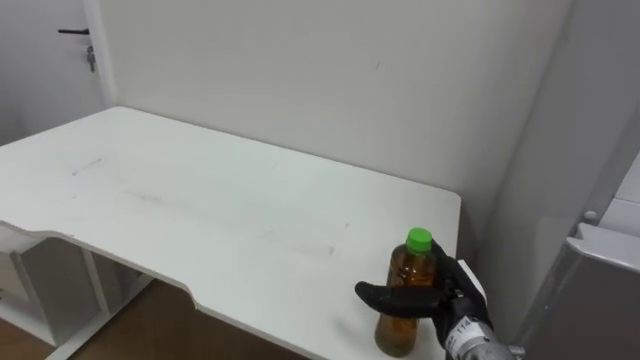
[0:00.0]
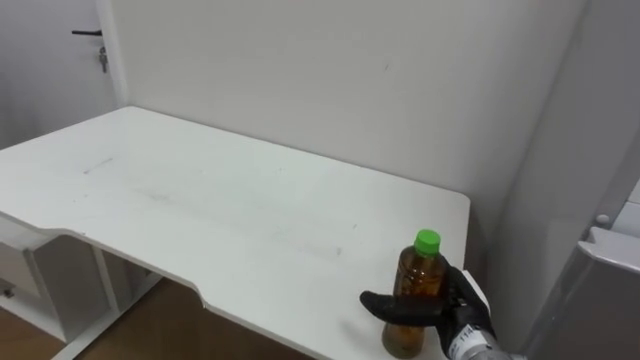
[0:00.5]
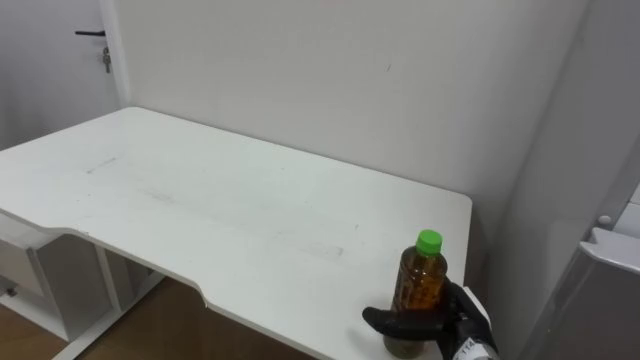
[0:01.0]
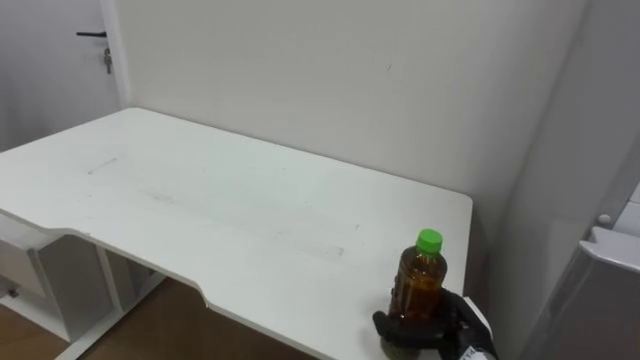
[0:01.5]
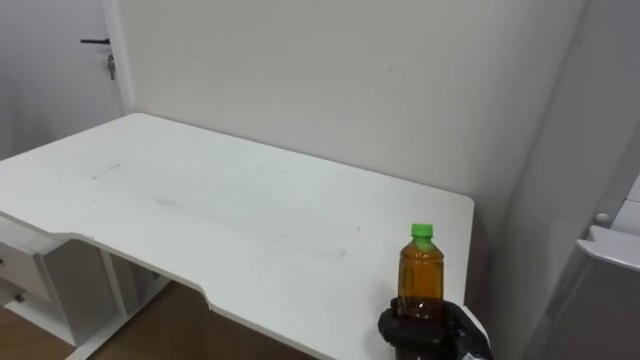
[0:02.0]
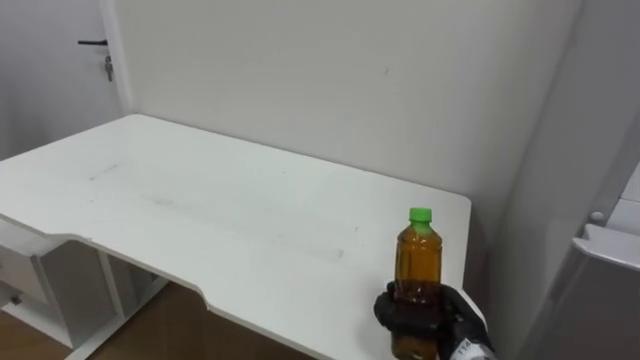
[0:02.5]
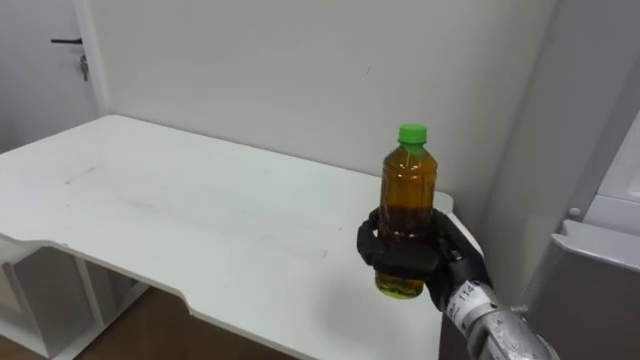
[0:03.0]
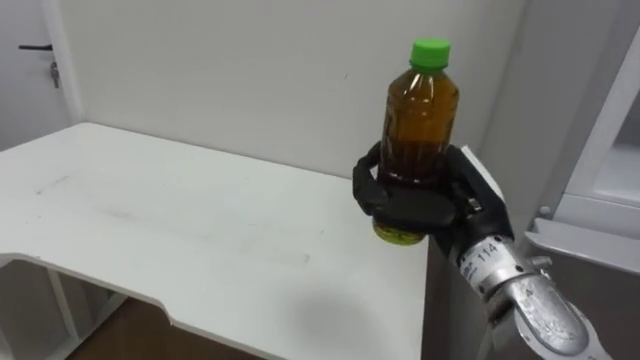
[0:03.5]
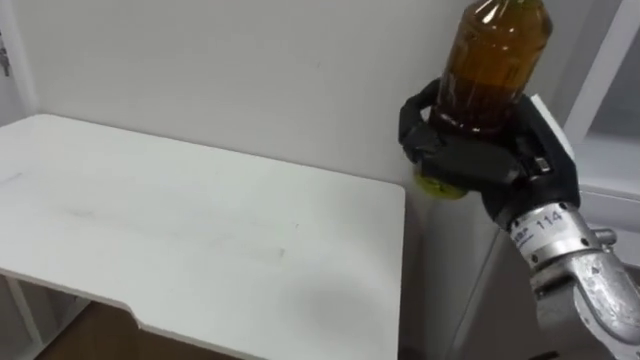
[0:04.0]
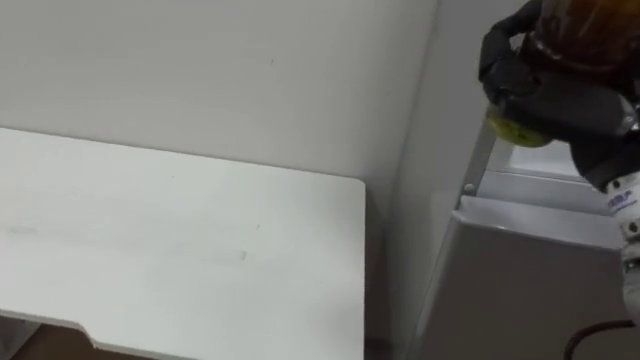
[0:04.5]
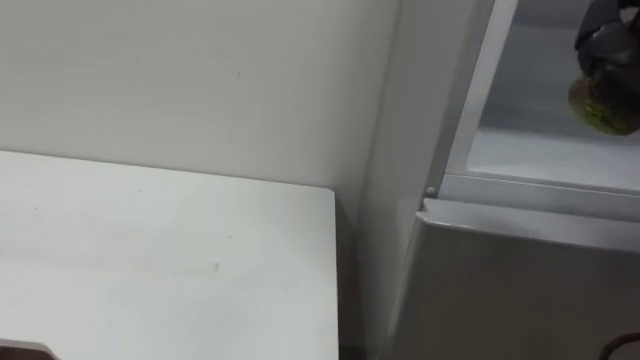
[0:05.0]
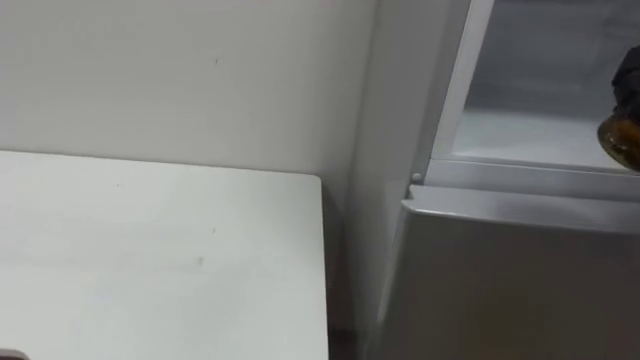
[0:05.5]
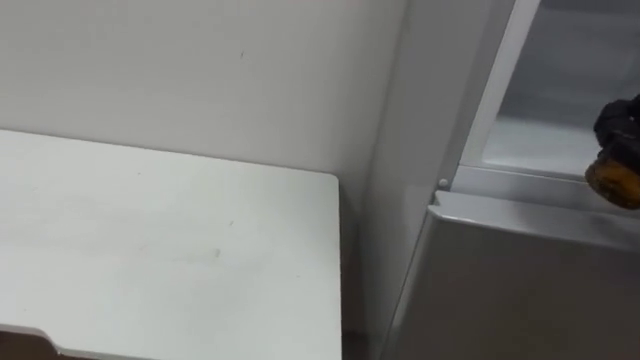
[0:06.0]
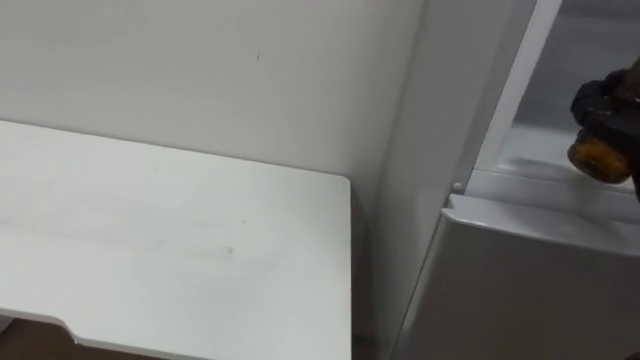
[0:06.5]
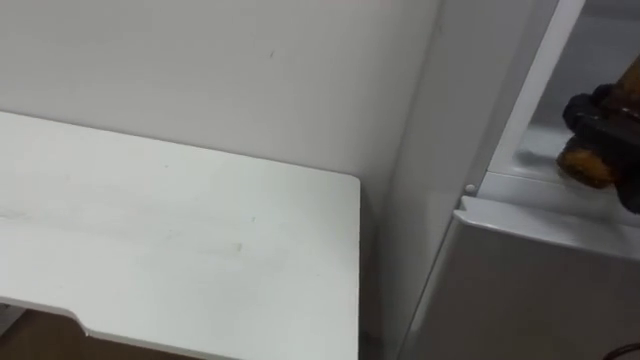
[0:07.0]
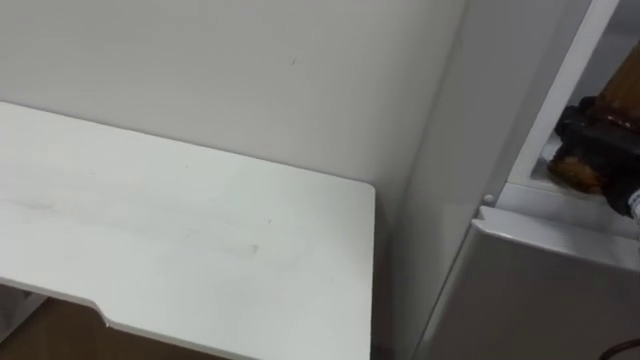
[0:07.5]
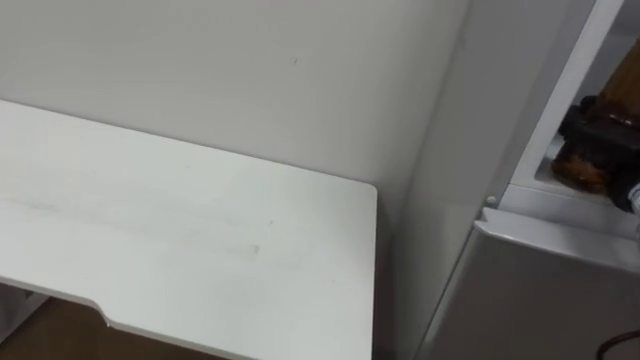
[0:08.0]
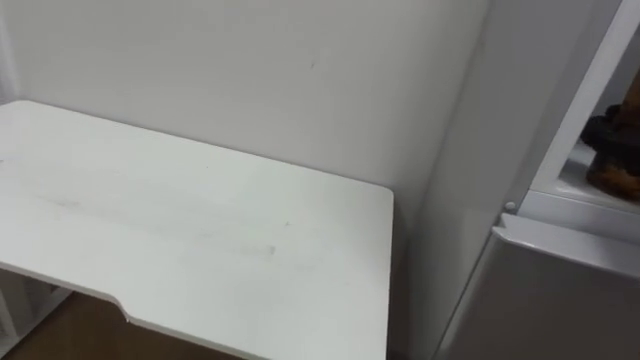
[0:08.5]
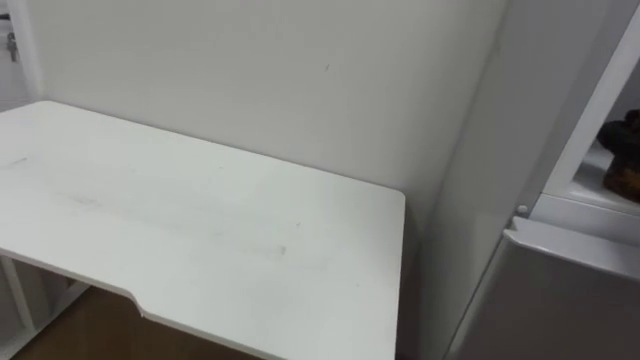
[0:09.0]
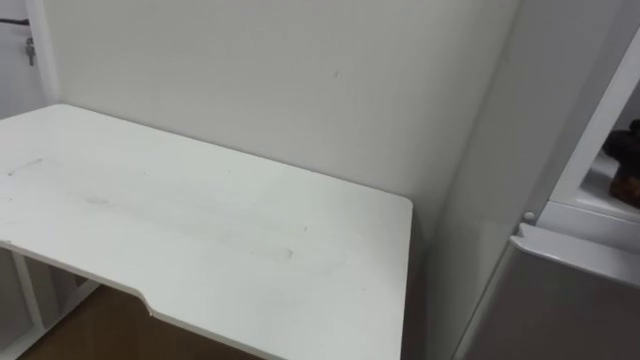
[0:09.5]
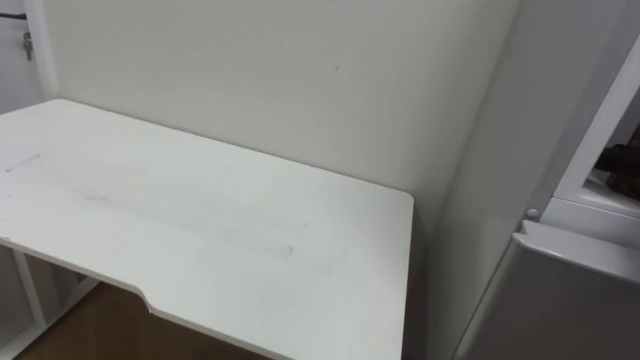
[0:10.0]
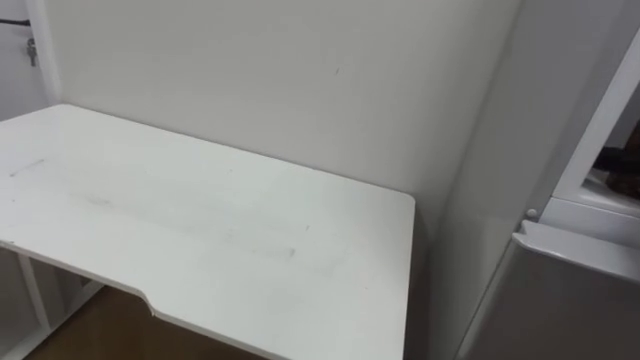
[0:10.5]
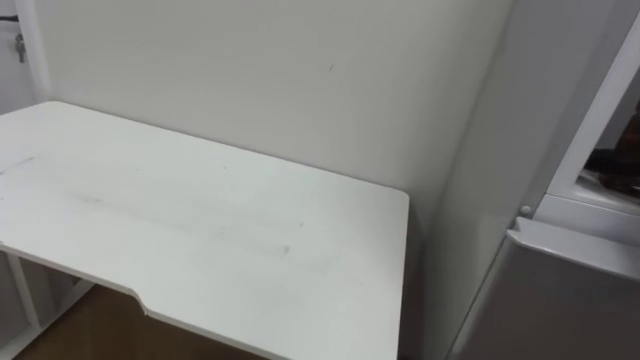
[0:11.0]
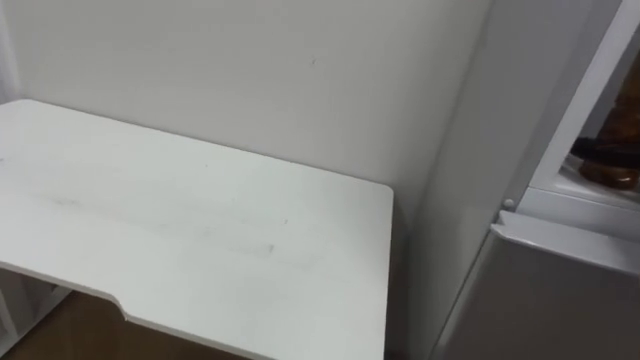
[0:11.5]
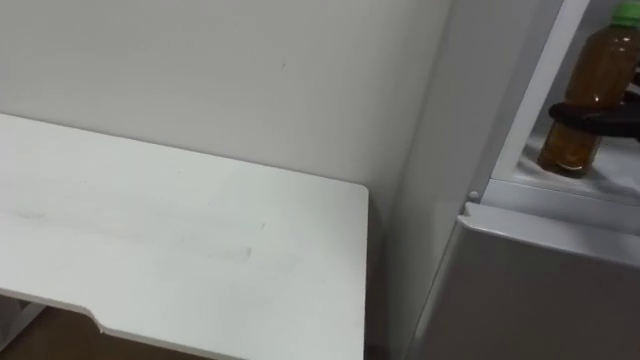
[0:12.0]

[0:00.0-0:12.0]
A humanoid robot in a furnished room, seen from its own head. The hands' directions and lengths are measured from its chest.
Task of the whole recording: Open the upper refrigerator door, put the drink from the table into the refrigerator, and then close the refrigerator door.
0:00.0 to 0:02.0: The right hand is displaced downward by approximately 5 cm, and closes its fingers.
0:02.0 to 0:04.0: The right hand travels upward by approximately 30 cm.

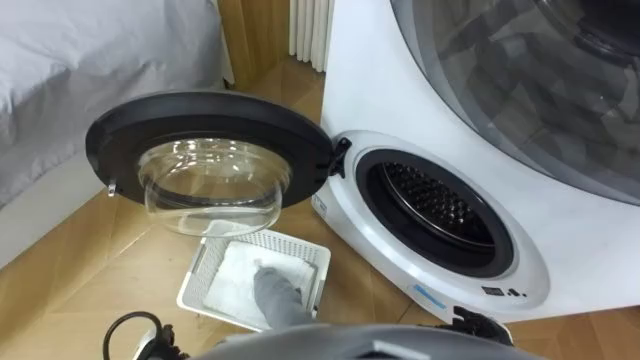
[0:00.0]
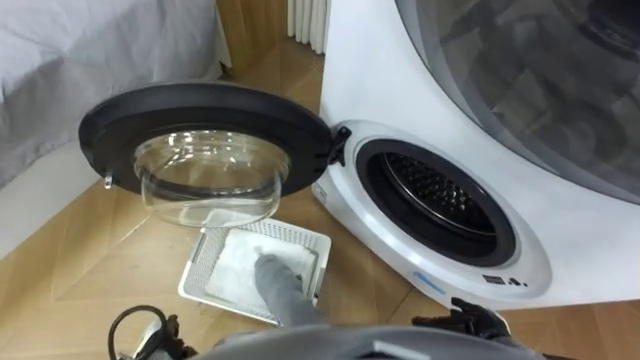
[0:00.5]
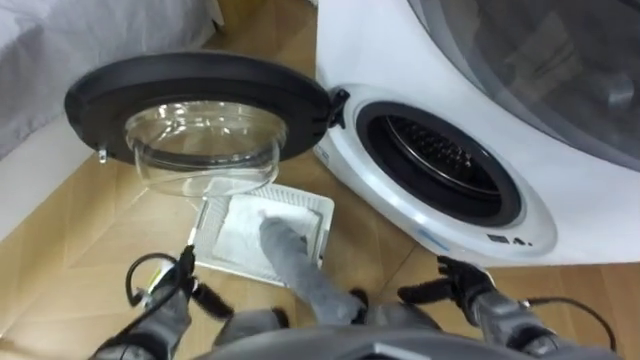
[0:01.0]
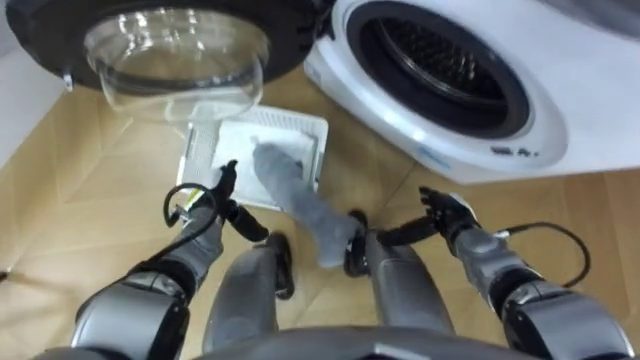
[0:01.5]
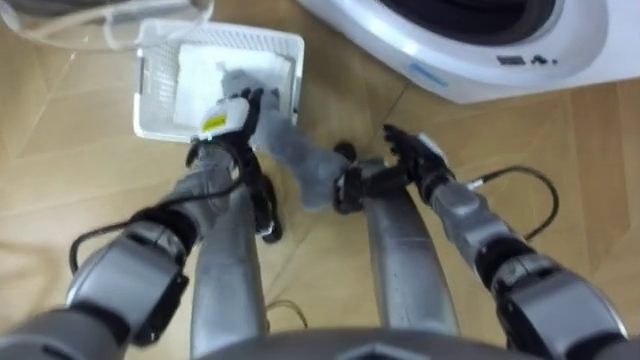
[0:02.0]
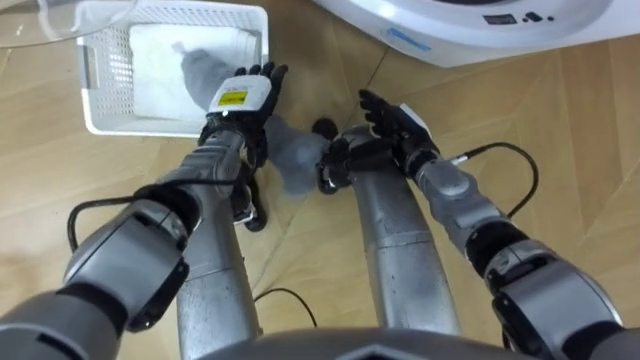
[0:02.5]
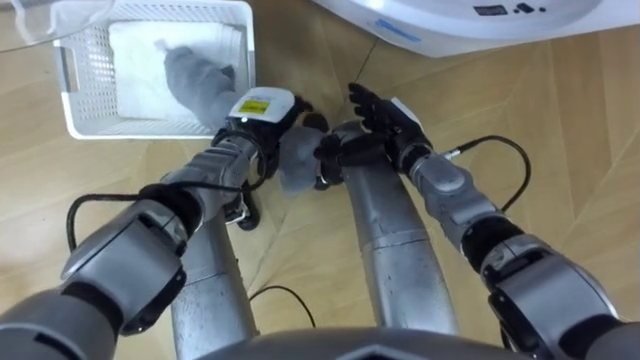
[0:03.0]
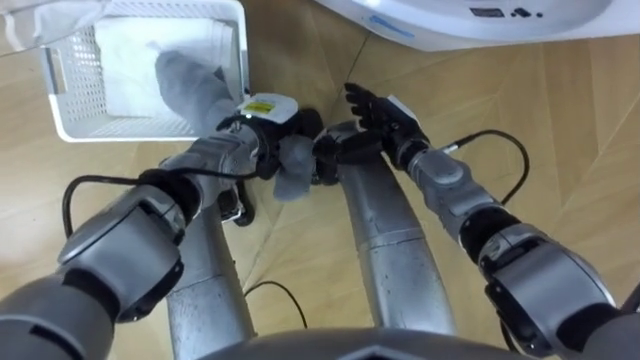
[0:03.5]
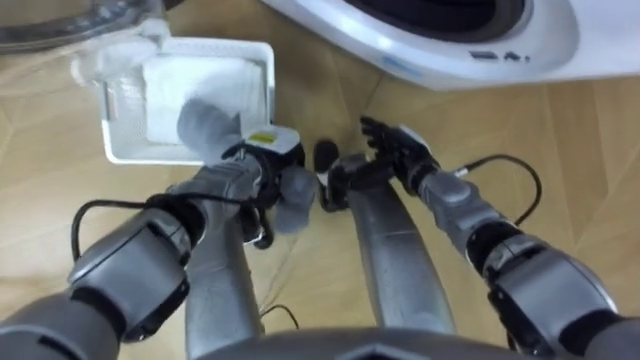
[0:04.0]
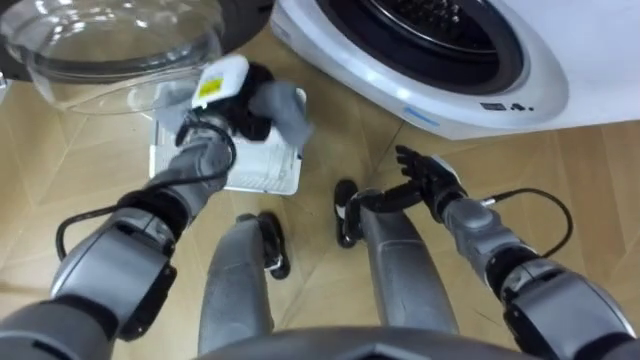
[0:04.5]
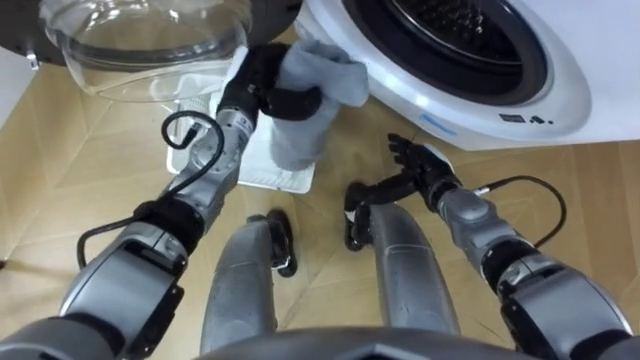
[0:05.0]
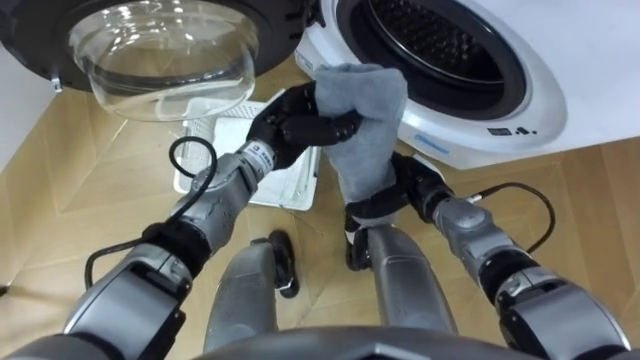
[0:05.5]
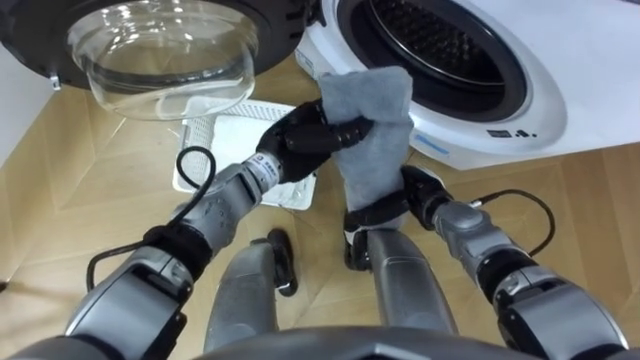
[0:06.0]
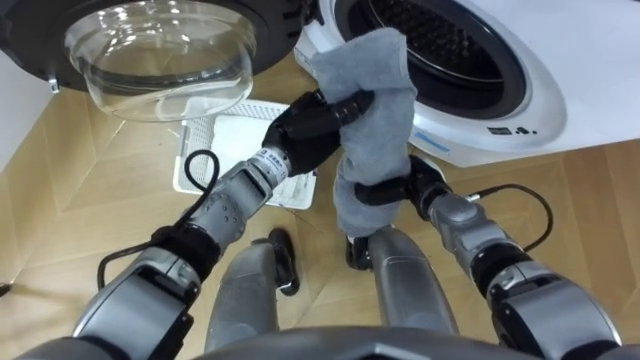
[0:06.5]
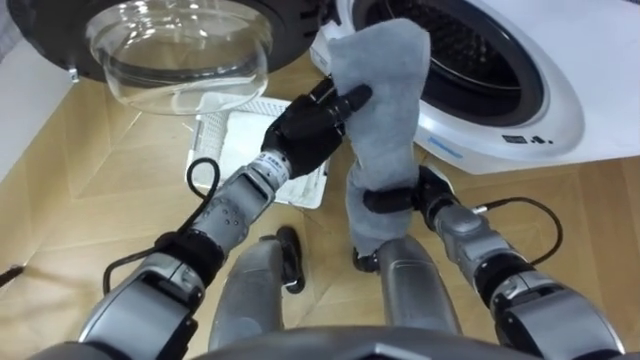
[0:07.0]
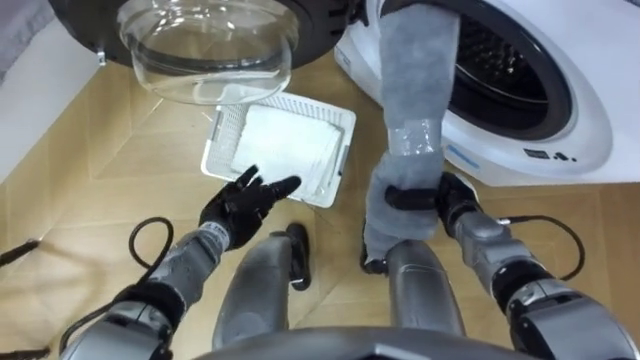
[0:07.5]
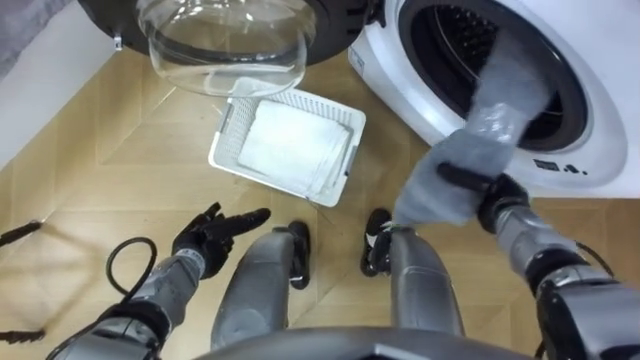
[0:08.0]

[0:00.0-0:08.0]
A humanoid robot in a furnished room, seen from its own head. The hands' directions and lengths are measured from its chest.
Task of the whole recording: Take the towel from the basket and put it into the washing machine.
0:02.0 to 0:04.0: The left hand moves to the right, roughly 5 cm, and closes its fingers.
0:04.0 to 0:06.0: The left hand travels upward by roughly 5 cm, while the right hand shifts by approximately 5 cm.
0:06.0 to 0:08.0: The right hand travels to the right by approximately 10 cm, and closes up. The left hand is displaced to the left, downward and backward by some 25 cm, and opens.
